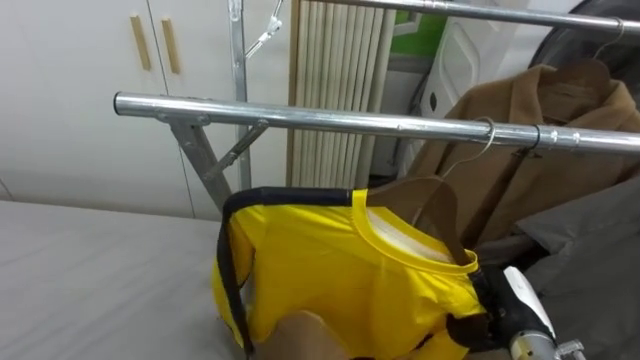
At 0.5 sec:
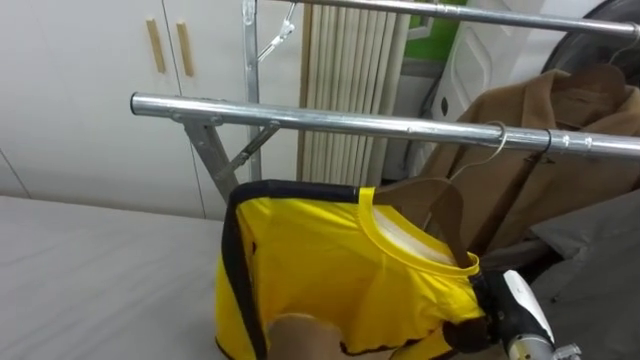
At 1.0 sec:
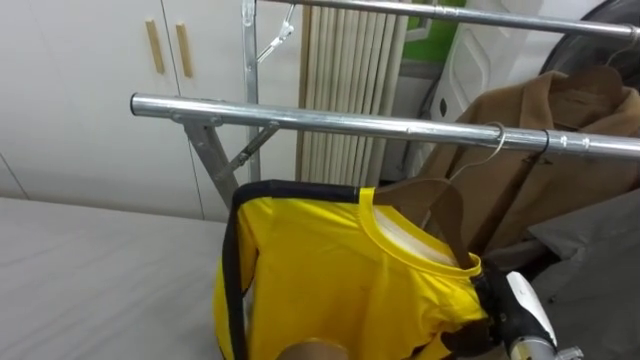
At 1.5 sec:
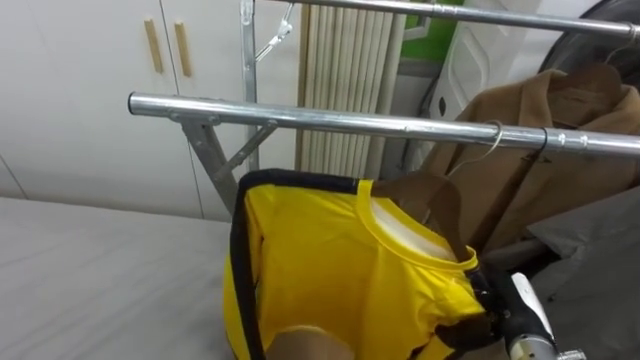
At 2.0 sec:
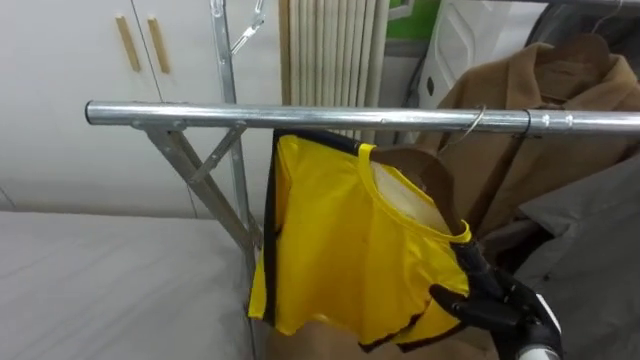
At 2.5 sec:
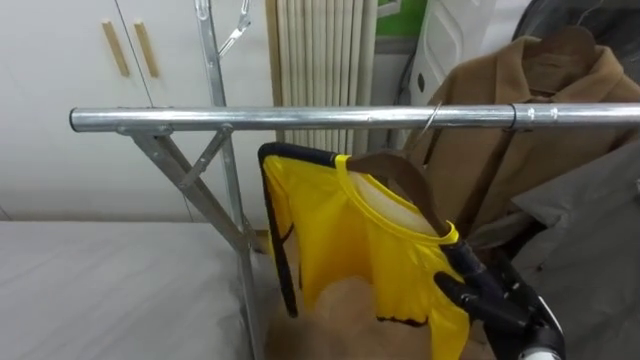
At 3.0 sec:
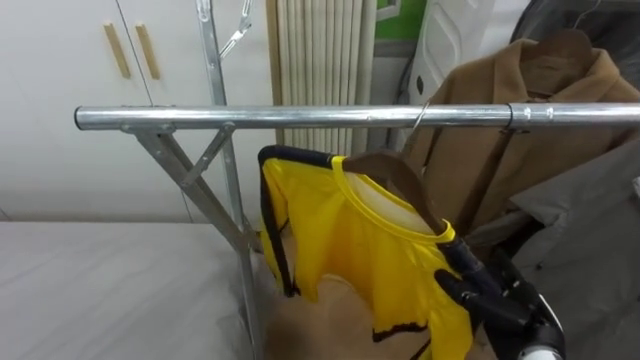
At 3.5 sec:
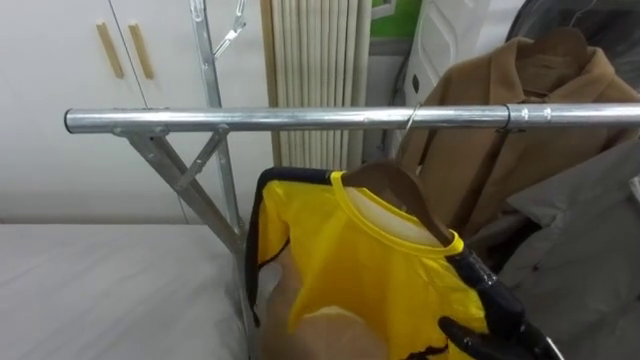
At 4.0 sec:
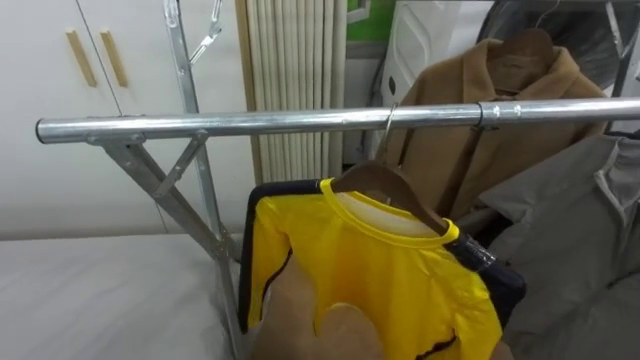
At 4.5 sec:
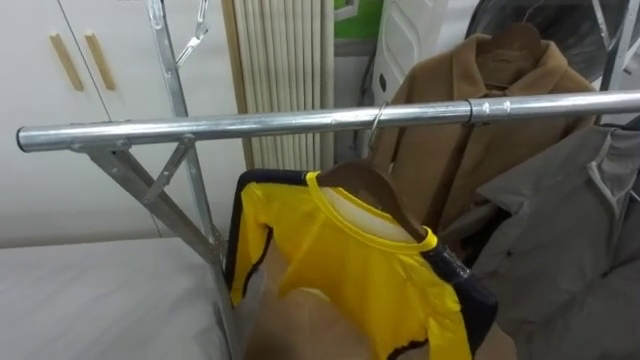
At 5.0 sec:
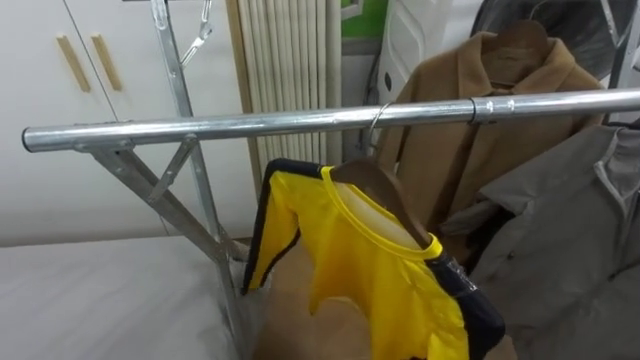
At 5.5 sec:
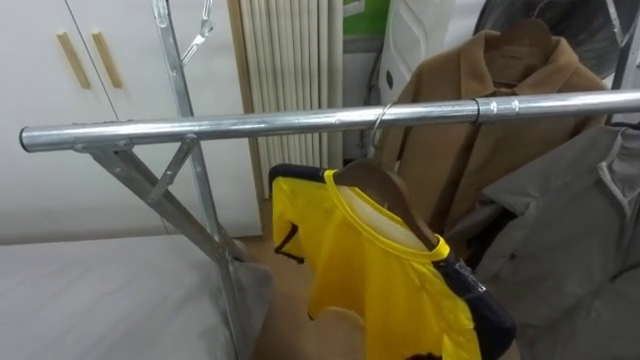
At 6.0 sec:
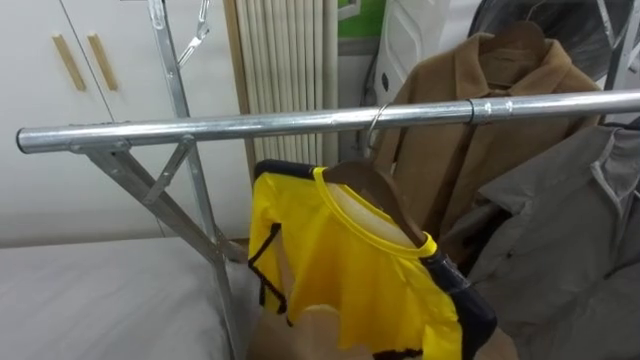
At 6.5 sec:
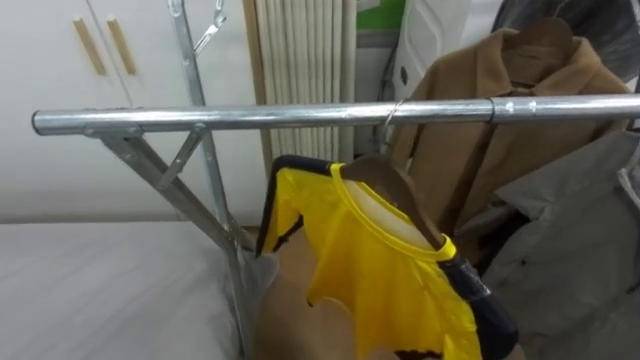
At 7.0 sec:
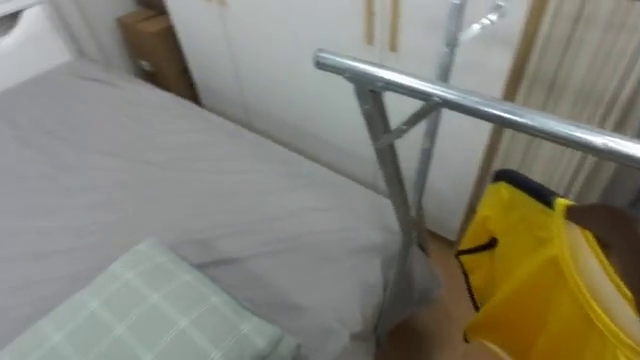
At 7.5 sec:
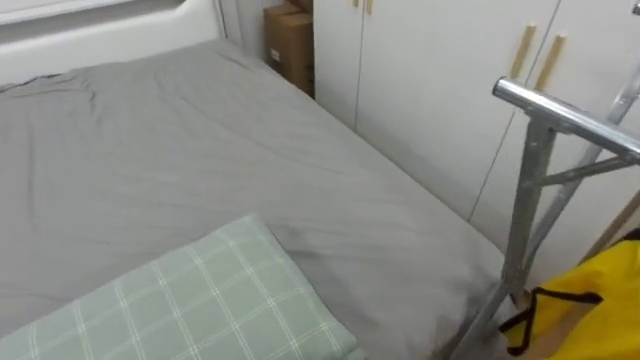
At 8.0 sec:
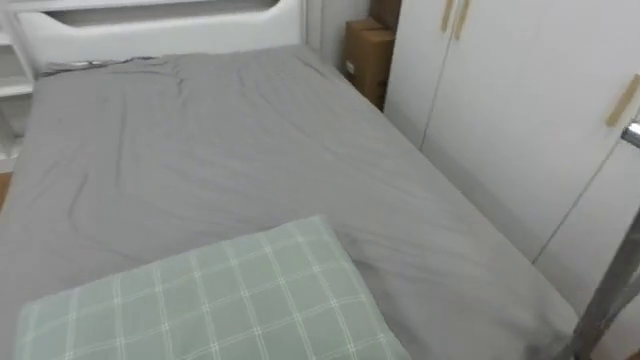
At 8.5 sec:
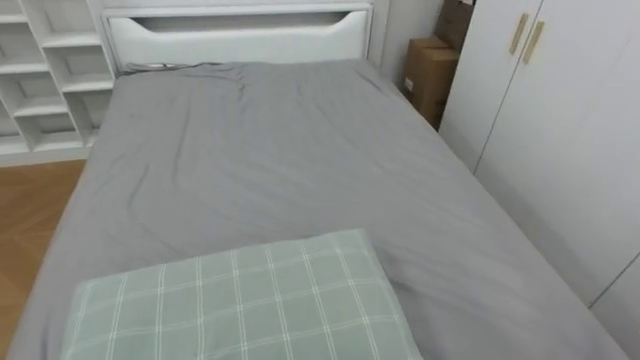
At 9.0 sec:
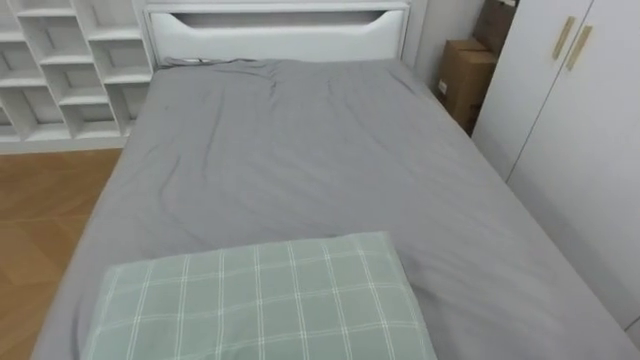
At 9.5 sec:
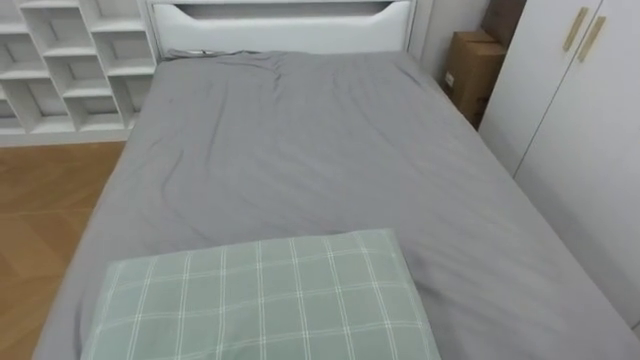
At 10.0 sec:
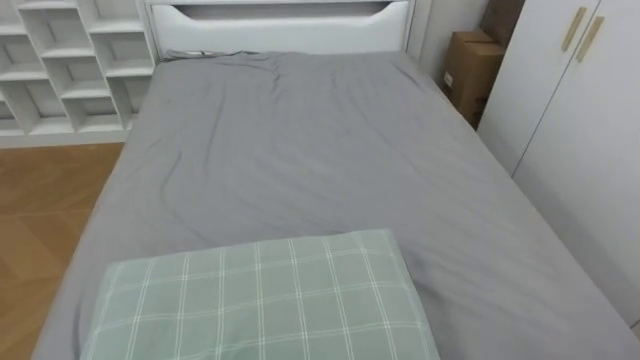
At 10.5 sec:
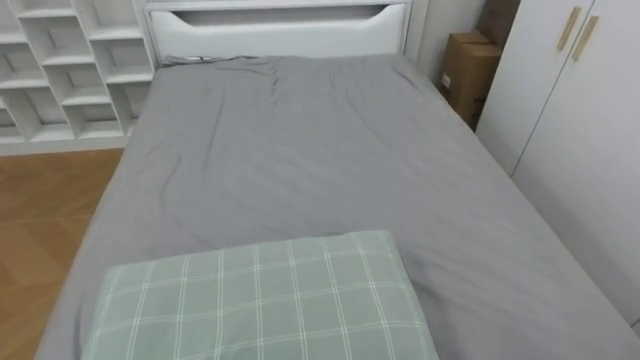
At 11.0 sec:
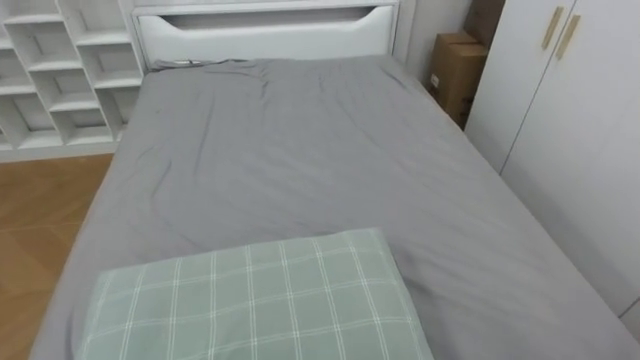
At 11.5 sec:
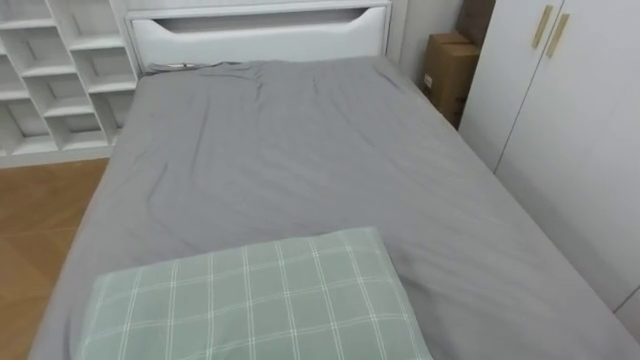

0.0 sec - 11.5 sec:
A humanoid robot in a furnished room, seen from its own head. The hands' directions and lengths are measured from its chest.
Task of the whole recording: Pick up the yellow shirt on the bed and hang it on the clothes rack on the right.
0.0 sec - 2.0 sec: The right hand opens.
6.0 sec - 7.5 sec: The robot turns to its left by roughly 55 degrees.
7.5 sec - 9.5 sec: The robot faces approximately 30 degrees further to its left.

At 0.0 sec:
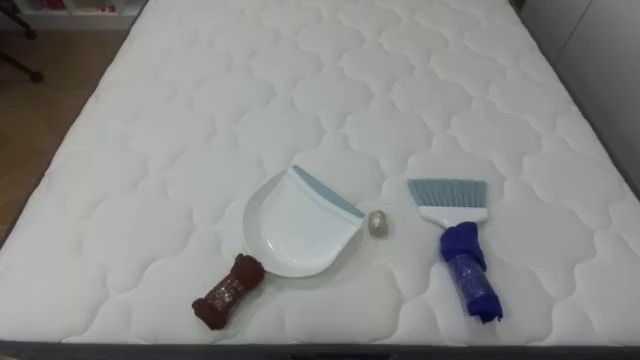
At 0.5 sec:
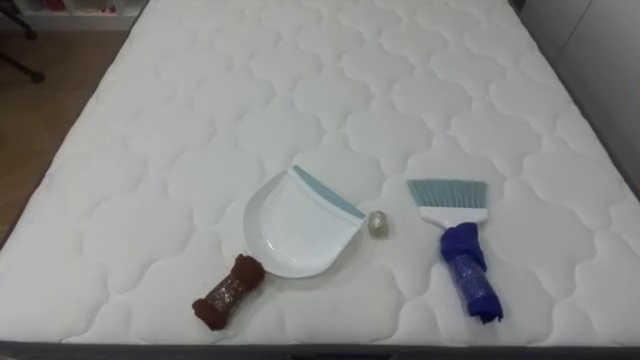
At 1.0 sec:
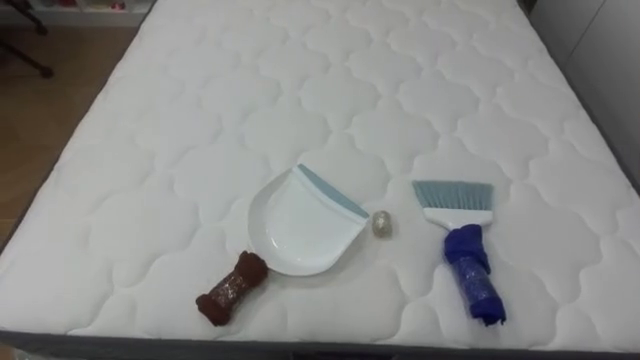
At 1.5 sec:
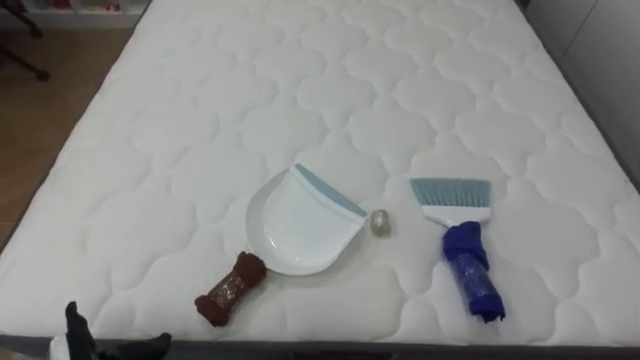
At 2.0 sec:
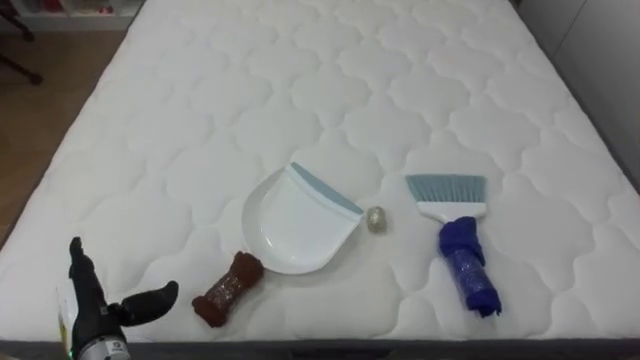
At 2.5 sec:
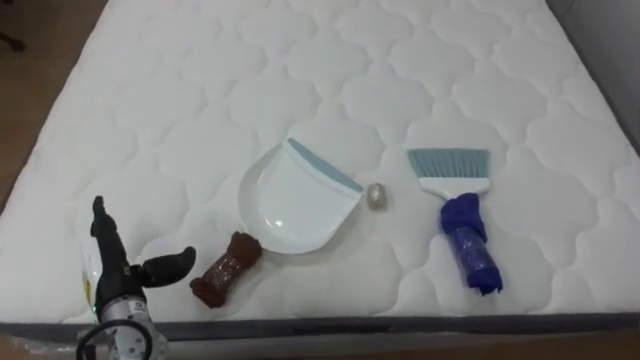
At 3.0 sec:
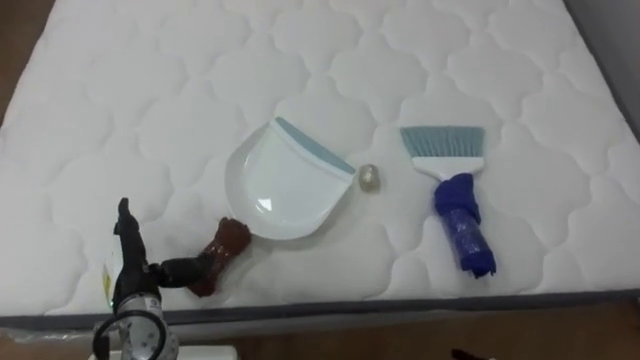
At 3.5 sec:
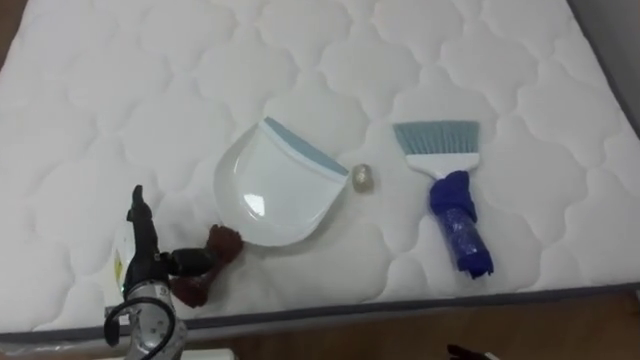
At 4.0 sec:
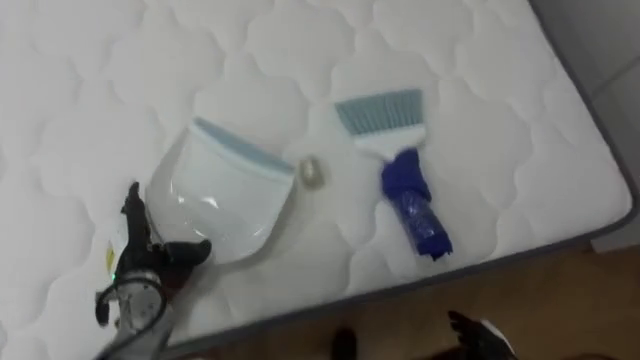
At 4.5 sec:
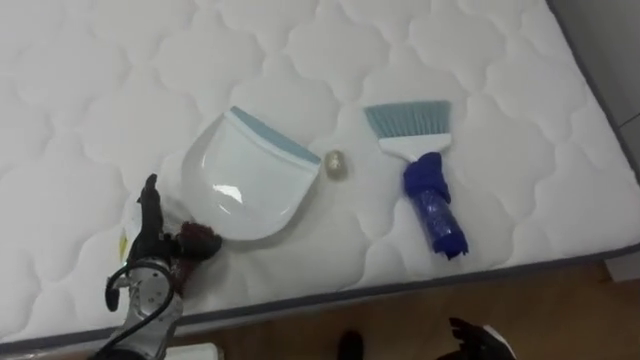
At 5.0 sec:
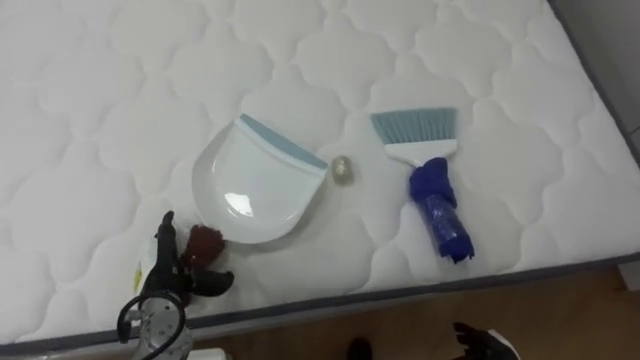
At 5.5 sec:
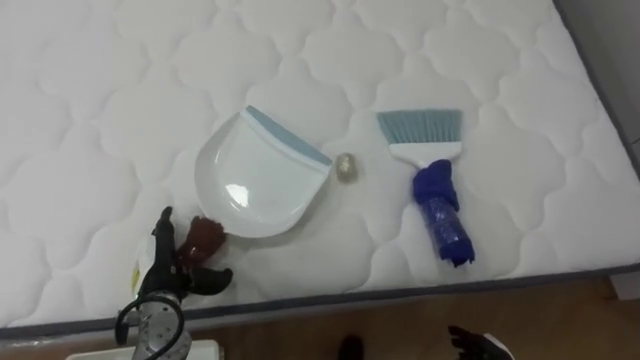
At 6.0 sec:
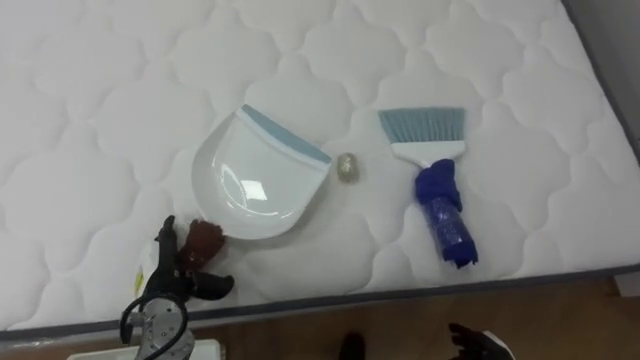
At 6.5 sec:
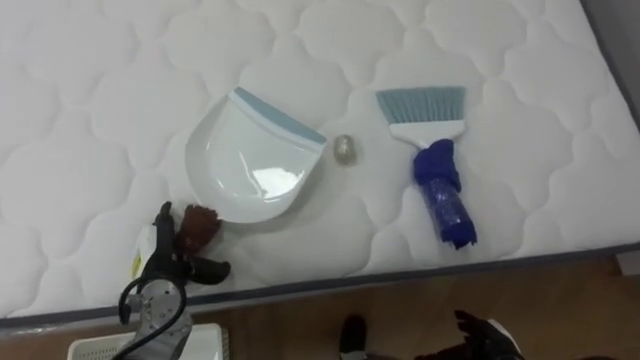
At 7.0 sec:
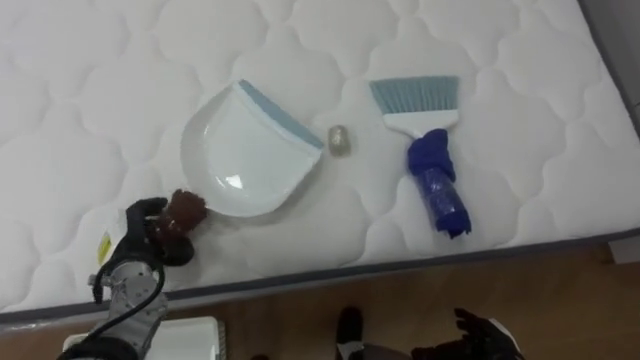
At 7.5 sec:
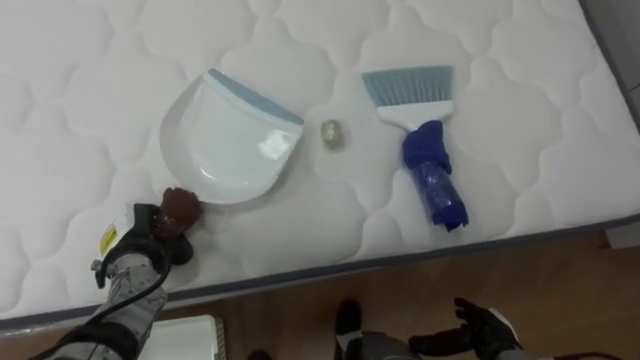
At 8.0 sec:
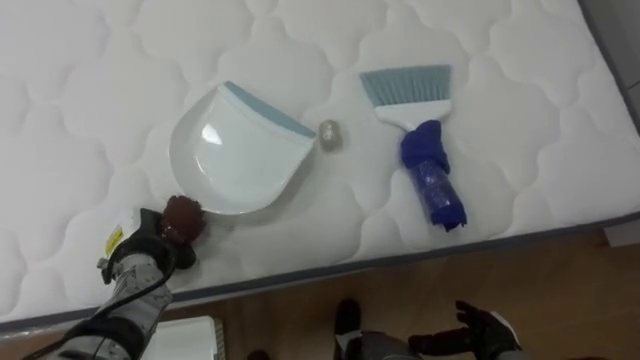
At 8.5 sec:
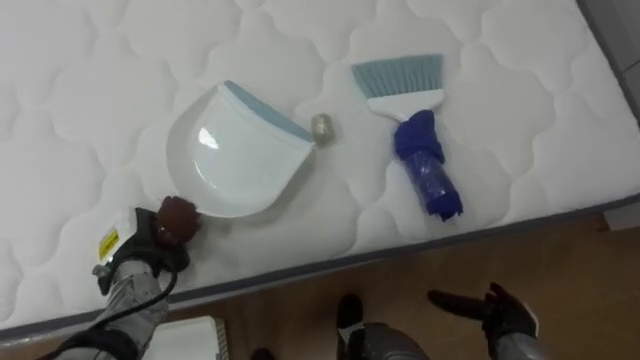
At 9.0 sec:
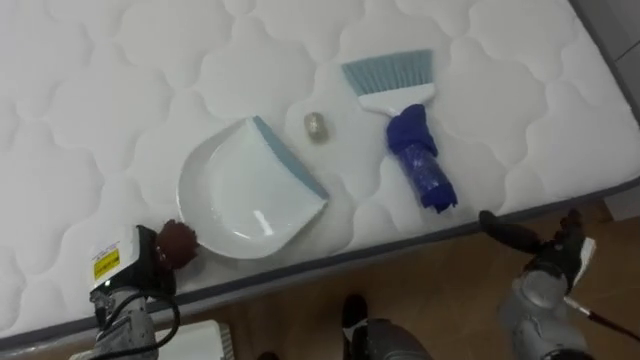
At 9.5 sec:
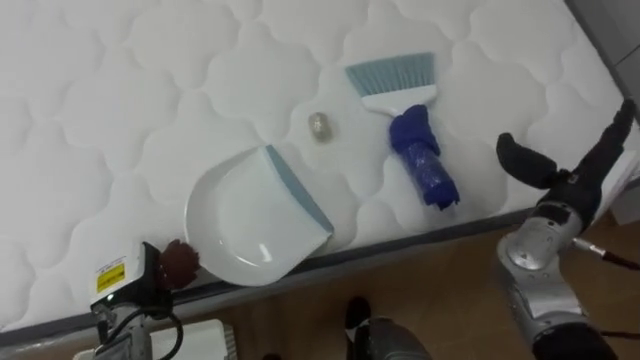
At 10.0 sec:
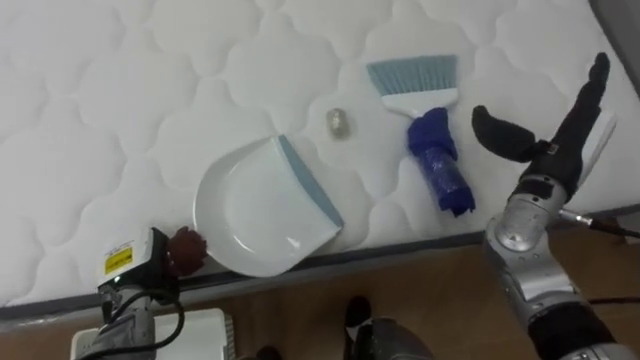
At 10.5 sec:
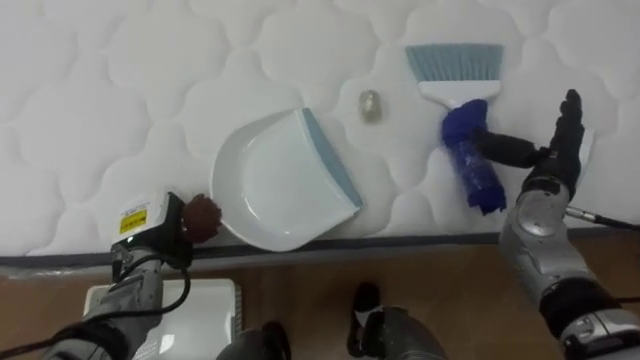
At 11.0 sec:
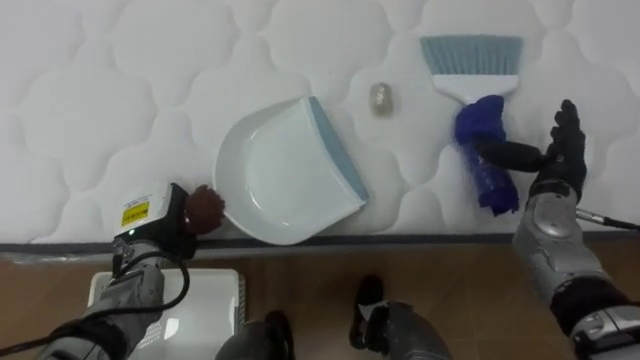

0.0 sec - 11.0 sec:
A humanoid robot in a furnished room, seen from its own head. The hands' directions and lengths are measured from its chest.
Task of the whole recording: Pick up the brush on your right and the dustpan on your left. Use the brush to sweep the crumpled paper on the bed into the dustpan, then turn left and empty it into the basket.
2.0 sec - 3.5 sec: The left hand travels forward and to the right by about 10 cm.
5.5 sec - 7.5 sec: The left hand shifts by approximately 5 cm, and closes its fingers.
7.5 sec - 9.0 sec: The right hand shifts some 15 cm upward, forward and to the right.
9.0 sec - 11.0 sec: The left hand shifts approximately 5 cm forward. The right hand is displaced forward and upward by approximately 15 cm.
